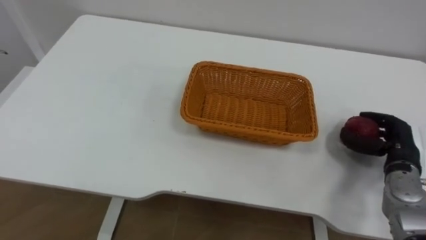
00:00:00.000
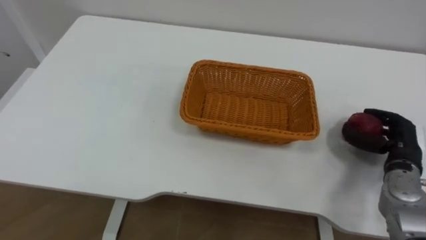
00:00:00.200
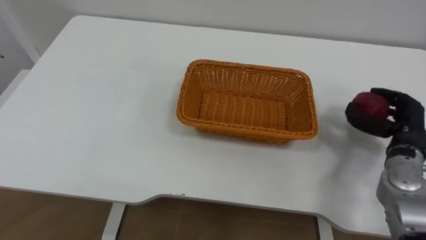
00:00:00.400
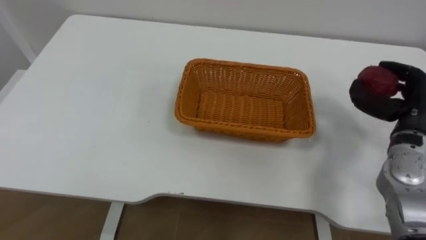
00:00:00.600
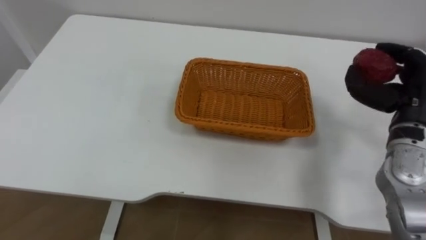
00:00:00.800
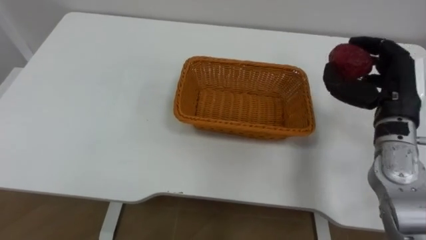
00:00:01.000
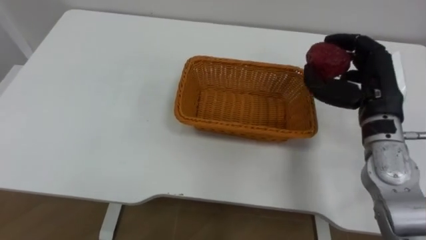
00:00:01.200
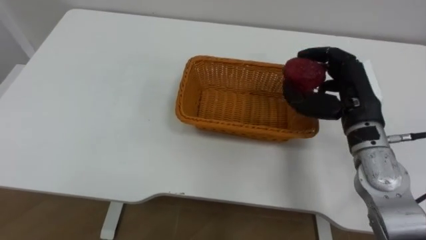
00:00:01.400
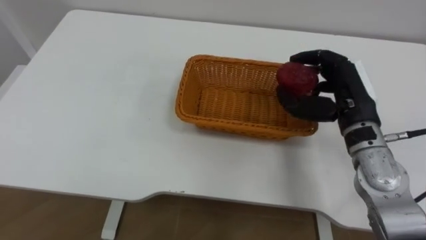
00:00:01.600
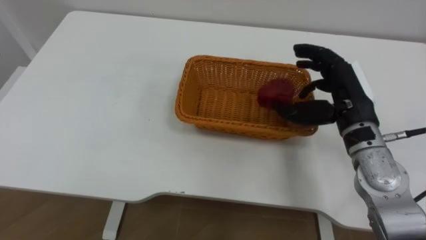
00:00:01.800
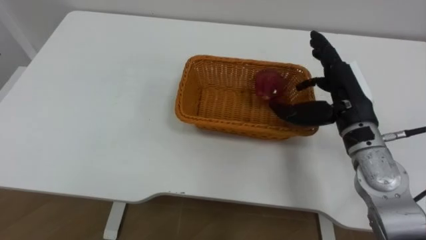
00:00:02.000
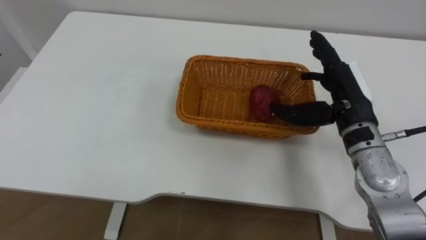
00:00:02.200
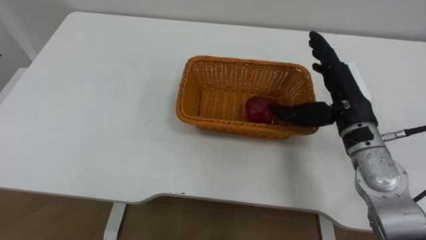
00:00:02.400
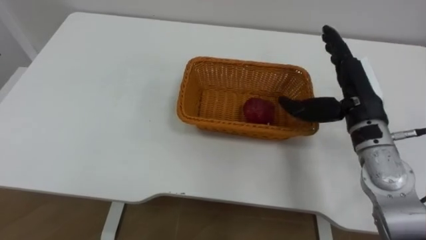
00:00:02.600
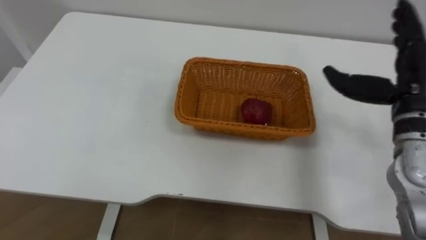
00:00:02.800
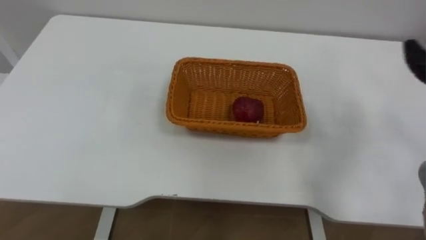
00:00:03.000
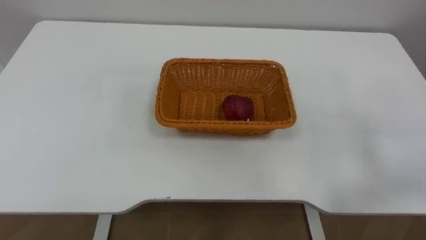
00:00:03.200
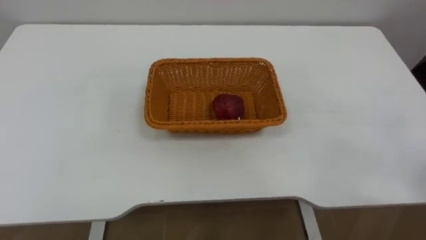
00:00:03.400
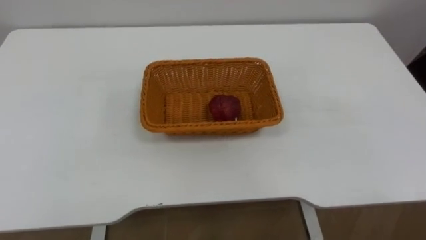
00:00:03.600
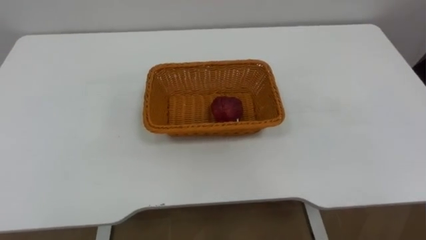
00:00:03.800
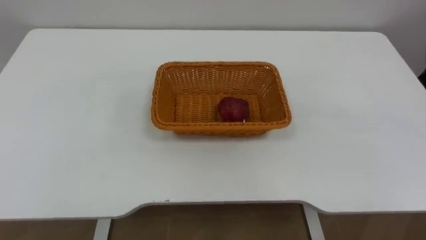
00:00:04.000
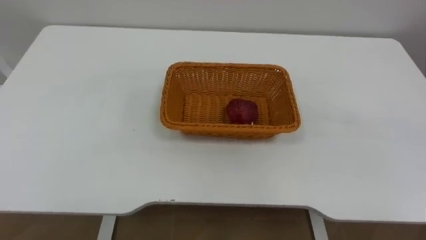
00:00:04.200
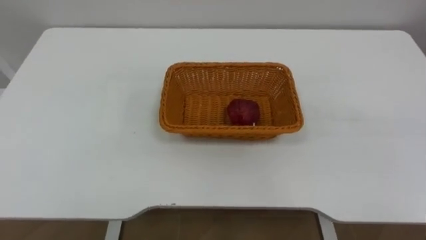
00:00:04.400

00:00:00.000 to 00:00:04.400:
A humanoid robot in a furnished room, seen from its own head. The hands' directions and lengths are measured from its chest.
Task of the whole recording: Pick the apple and place it in the box.
00:00:00.000 to 00:00:01.400: The right hand moves upward and to the left, roughly 20 cm.

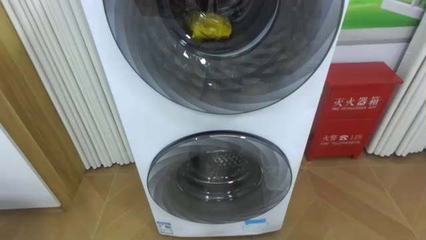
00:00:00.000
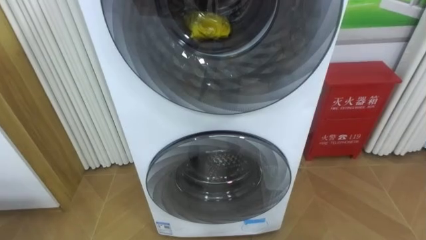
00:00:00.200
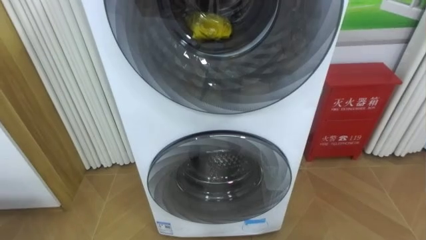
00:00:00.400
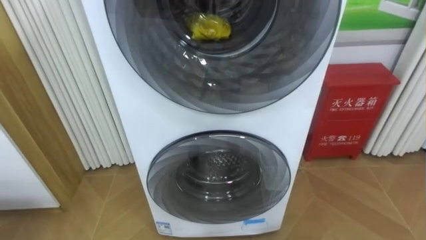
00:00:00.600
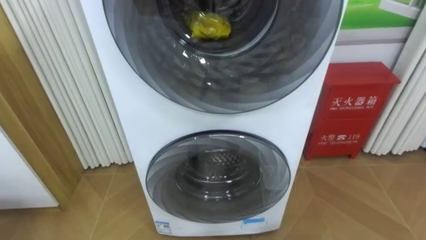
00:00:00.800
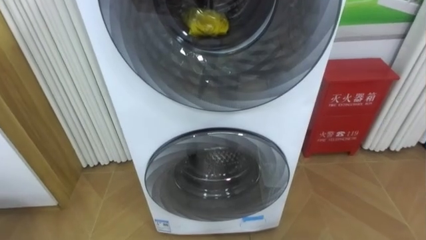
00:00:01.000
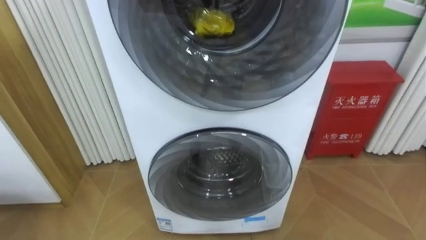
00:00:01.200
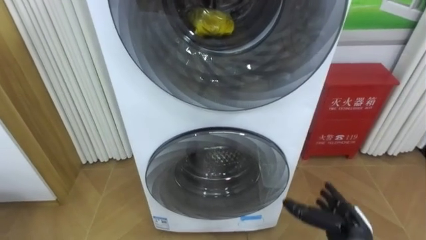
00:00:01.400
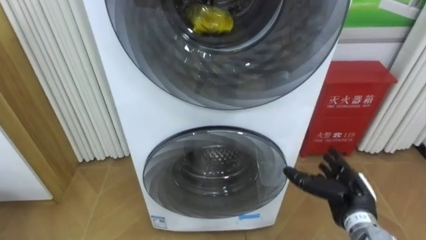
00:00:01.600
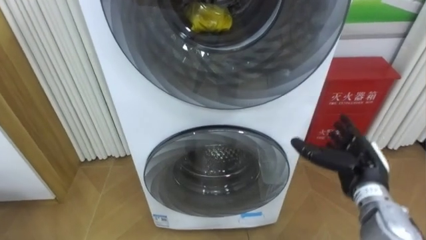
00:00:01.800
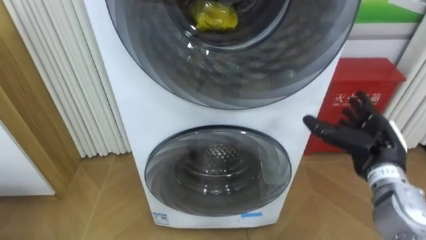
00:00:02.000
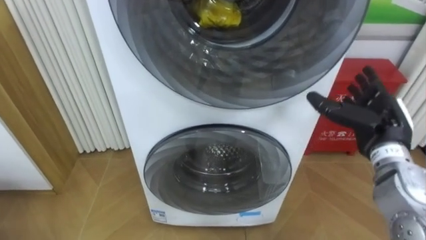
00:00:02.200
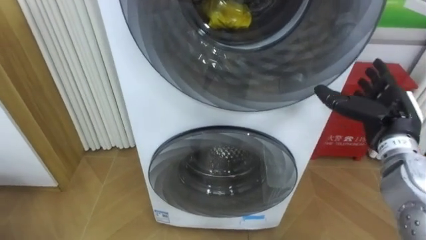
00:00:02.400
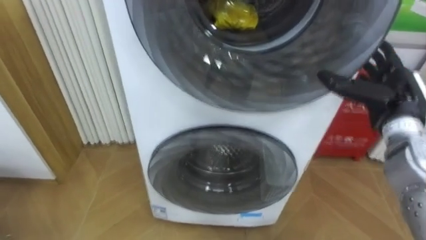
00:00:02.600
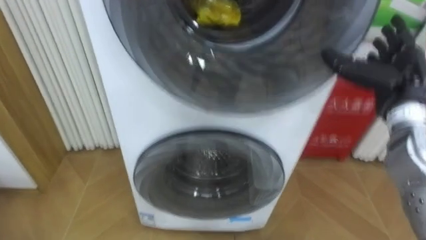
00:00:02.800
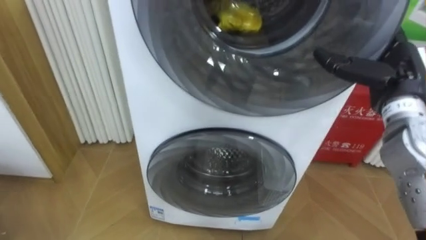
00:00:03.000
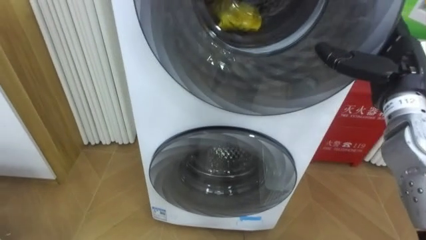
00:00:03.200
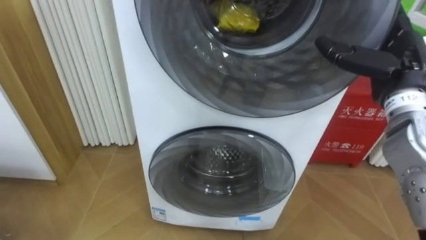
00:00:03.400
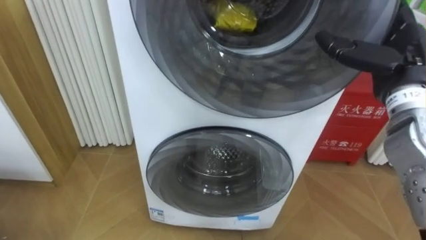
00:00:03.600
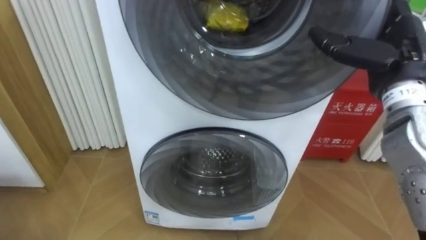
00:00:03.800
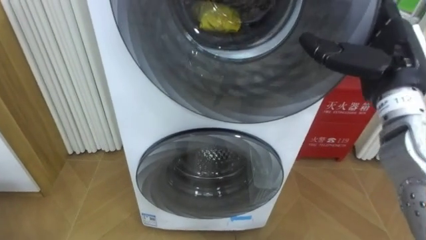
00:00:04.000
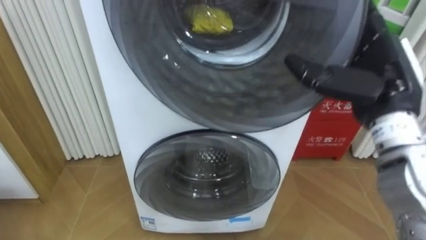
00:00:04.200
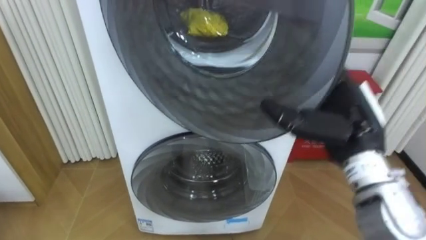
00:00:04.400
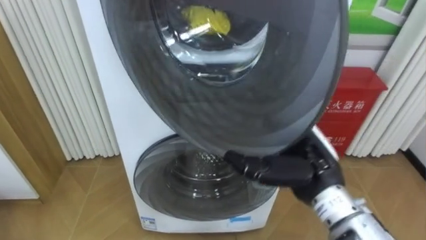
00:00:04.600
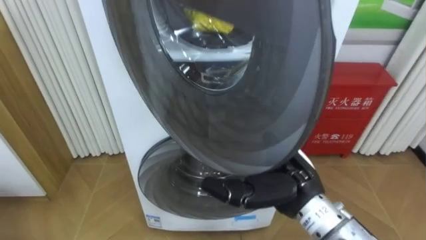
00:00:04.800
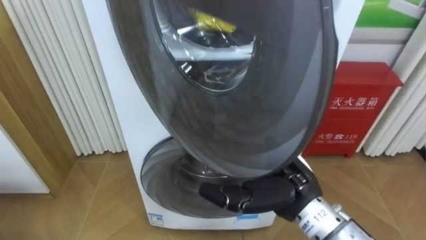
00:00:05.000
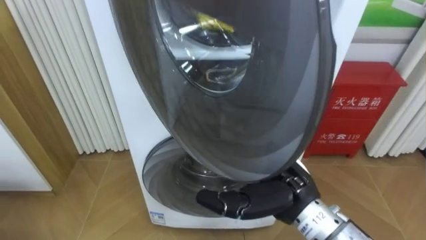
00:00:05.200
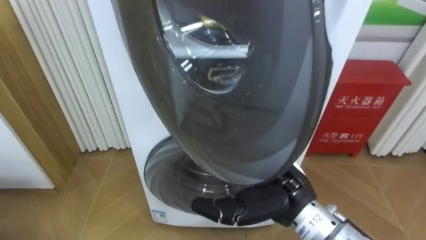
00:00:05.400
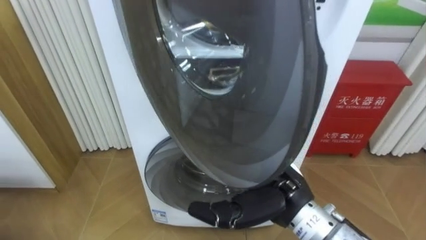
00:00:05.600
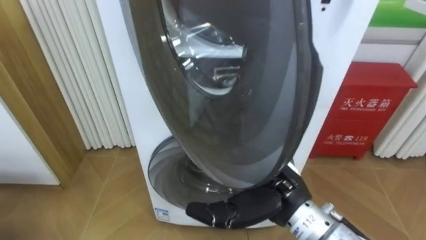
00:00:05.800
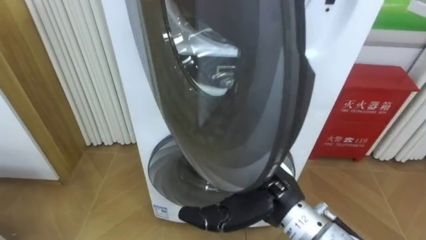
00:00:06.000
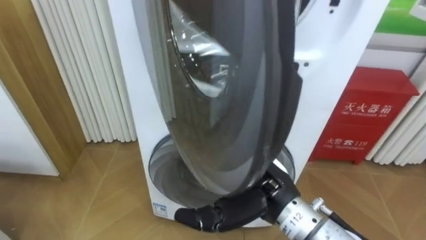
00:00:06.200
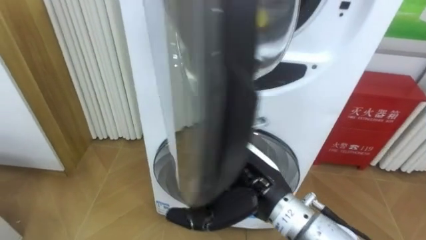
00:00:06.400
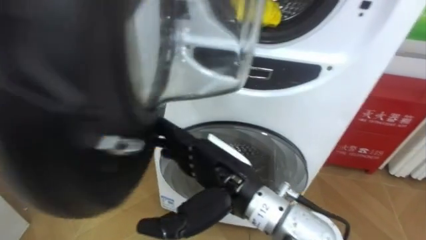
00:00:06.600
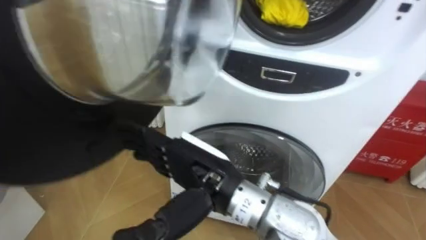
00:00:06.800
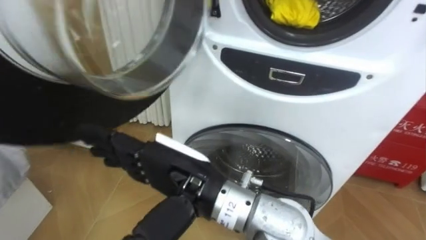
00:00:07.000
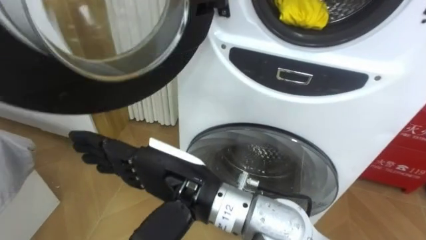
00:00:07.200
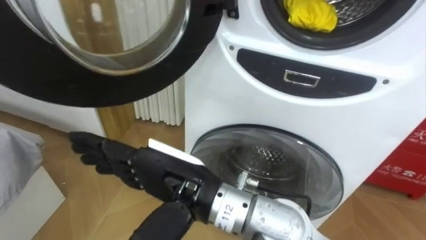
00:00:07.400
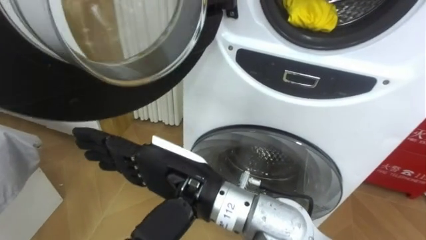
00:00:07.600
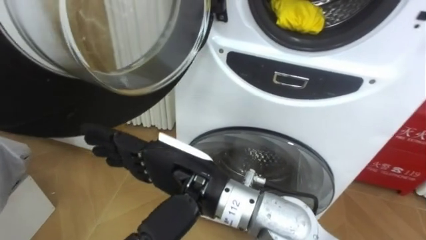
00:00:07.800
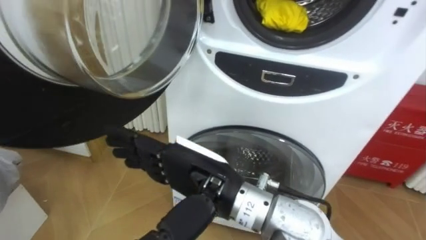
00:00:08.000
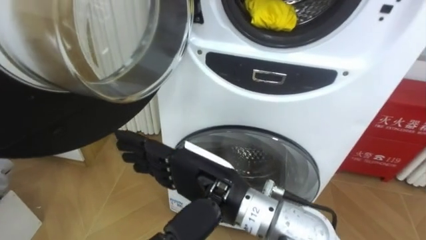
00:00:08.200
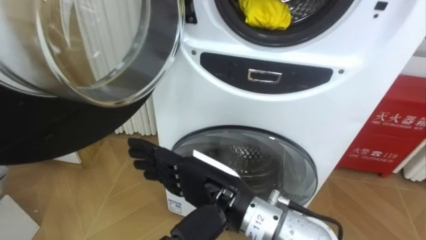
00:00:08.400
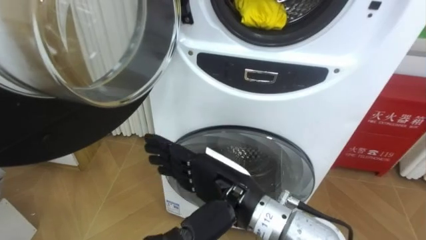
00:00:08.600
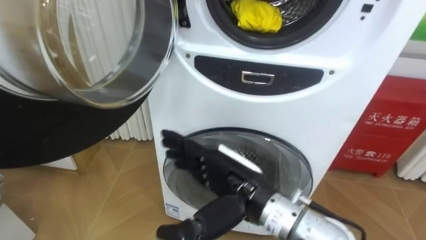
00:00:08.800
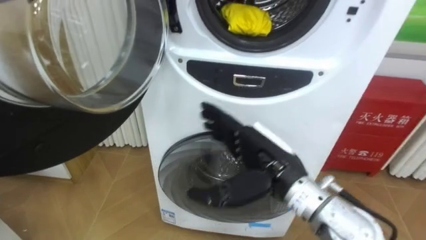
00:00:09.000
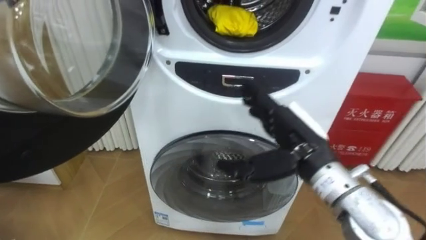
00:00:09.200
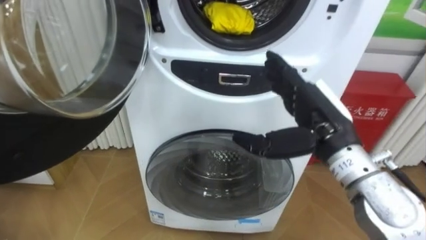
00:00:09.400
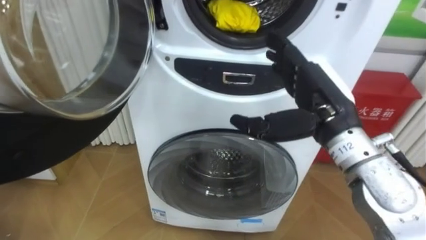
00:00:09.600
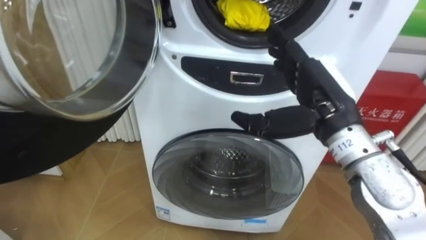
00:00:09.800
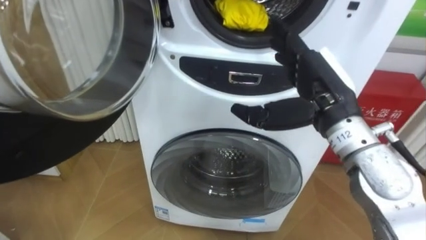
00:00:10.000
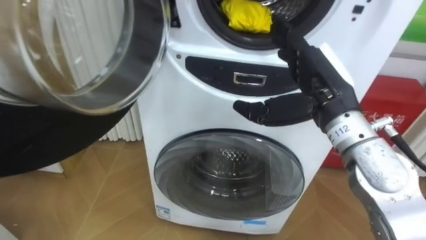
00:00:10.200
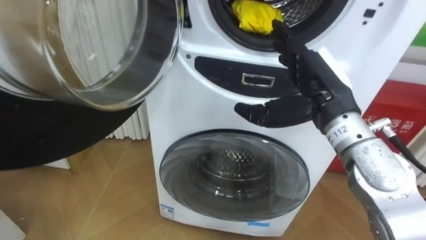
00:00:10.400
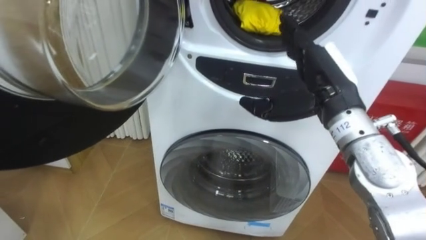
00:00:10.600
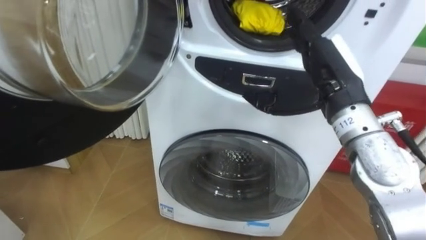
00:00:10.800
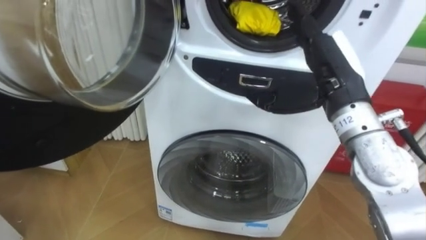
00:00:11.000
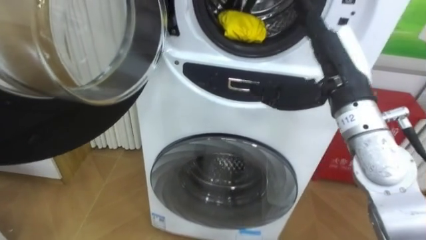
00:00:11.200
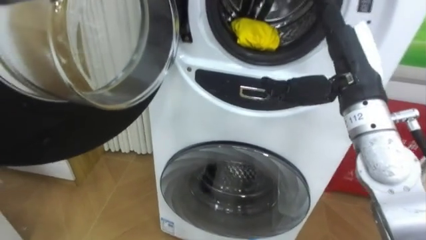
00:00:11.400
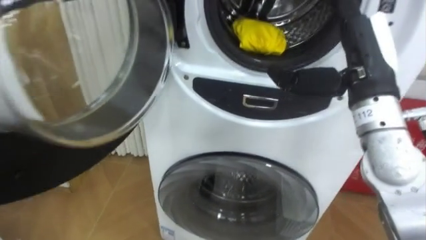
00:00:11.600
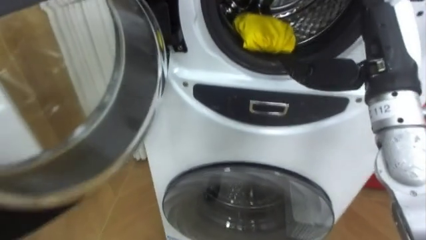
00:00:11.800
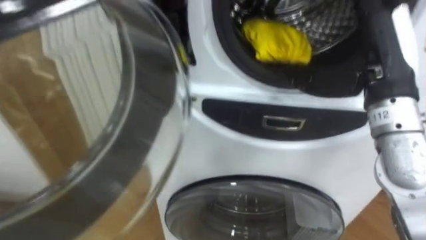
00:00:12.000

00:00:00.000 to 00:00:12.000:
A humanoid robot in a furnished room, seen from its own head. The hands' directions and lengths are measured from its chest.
Task of the whole recording: Open the washing machine door, take out the yellow clothes, place them in the box on the right, and close the washing machine door.
00:00:01.600 to 00:00:03.000: The right hand travels upward by some 20 cm.
00:00:03.000 to 00:00:04.400: The right hand moves to the left and backward, roughly 10 cm.
00:00:04.400 to 00:00:06.000: The right hand shifts roughly 15 cm to the left, downward and backward.
00:00:06.000 to 00:00:07.600: The right hand goes about 15 cm to the left and upward.
00:00:07.600 to 00:00:09.000: The right hand goes about 15 cm to the right and forward.
00:00:09.000 to 00:00:10.400: The right hand travels upward, to the right and forward by roughly 15 cm.
00:00:10.400 to 00:00:12.000: The right hand is displaced to the right and upward by some 10 cm.
